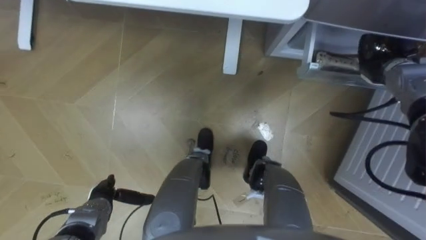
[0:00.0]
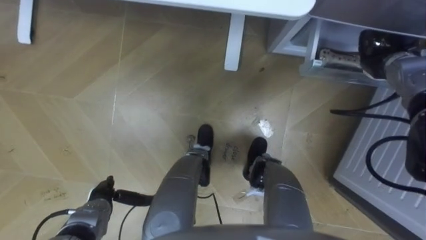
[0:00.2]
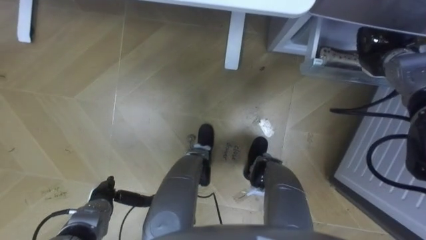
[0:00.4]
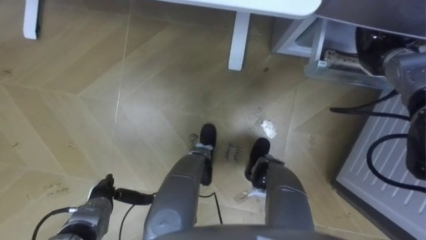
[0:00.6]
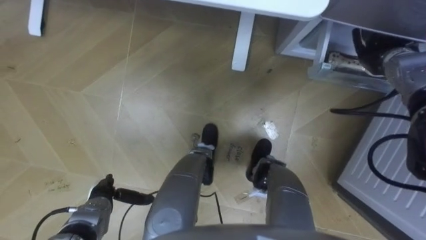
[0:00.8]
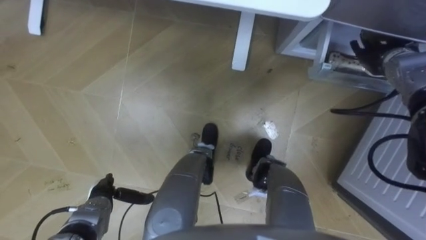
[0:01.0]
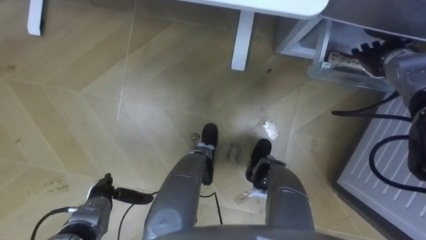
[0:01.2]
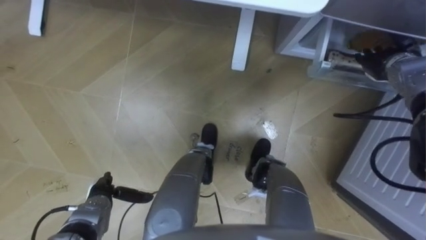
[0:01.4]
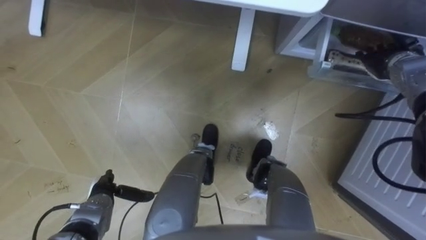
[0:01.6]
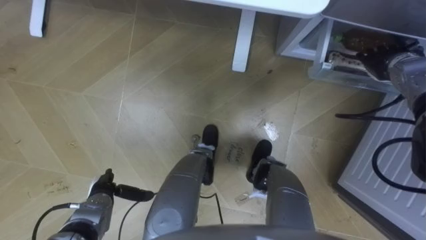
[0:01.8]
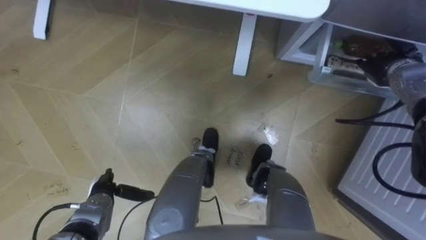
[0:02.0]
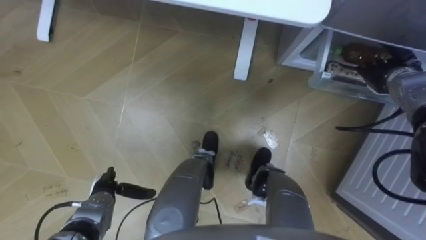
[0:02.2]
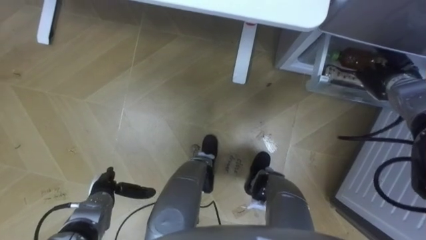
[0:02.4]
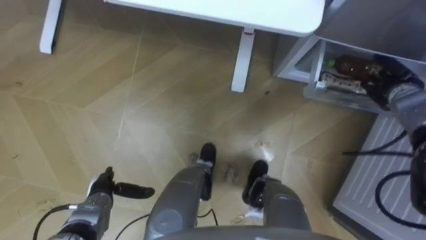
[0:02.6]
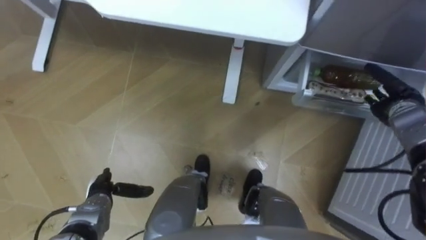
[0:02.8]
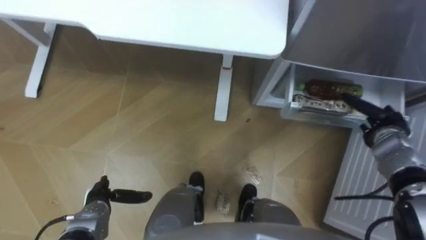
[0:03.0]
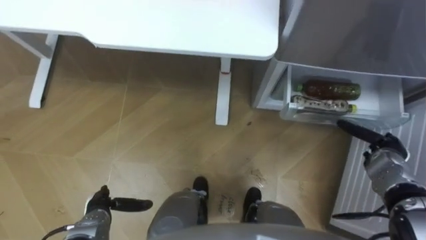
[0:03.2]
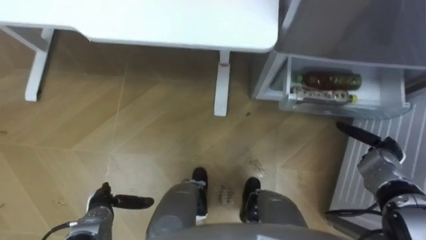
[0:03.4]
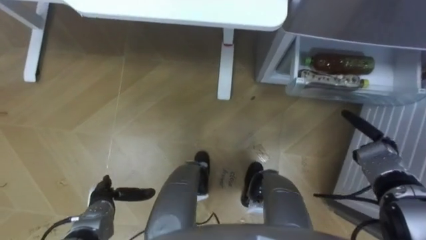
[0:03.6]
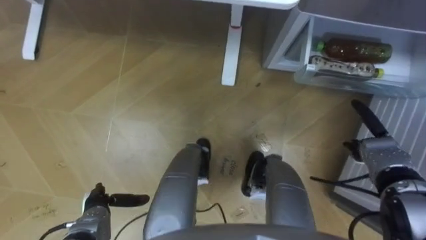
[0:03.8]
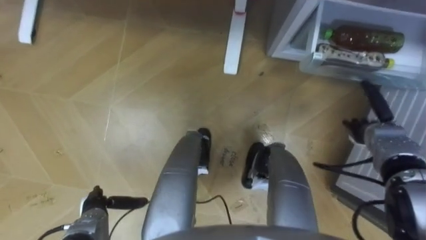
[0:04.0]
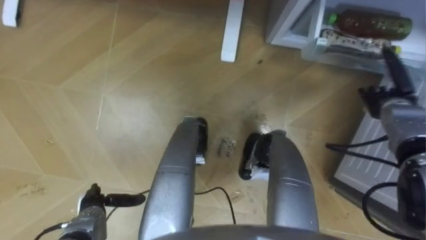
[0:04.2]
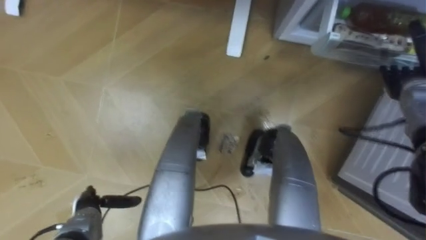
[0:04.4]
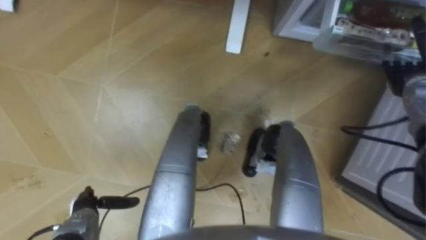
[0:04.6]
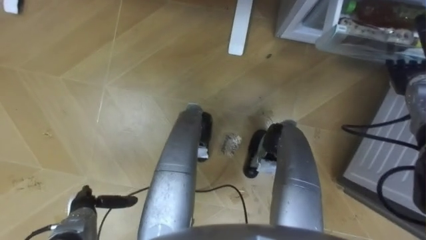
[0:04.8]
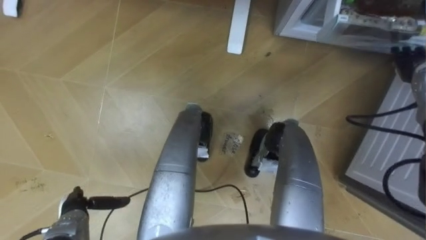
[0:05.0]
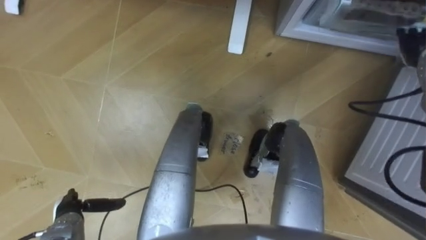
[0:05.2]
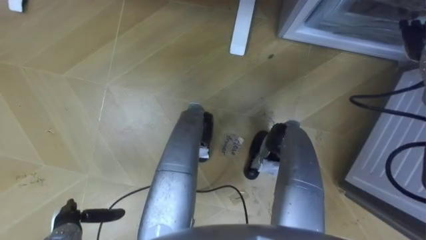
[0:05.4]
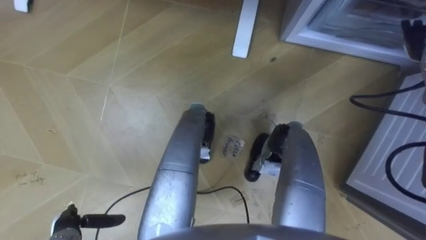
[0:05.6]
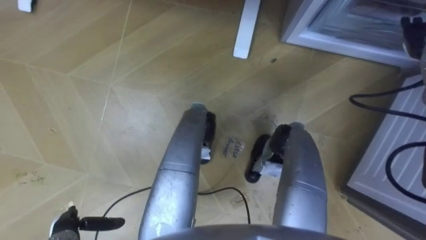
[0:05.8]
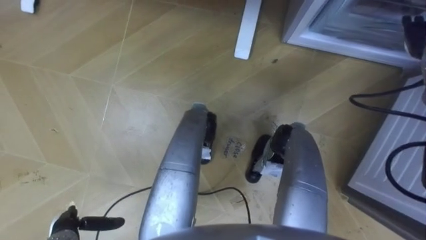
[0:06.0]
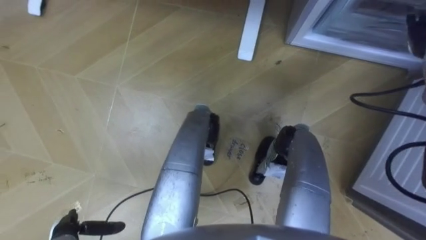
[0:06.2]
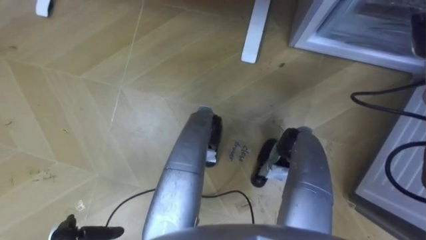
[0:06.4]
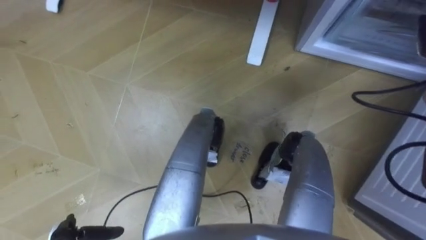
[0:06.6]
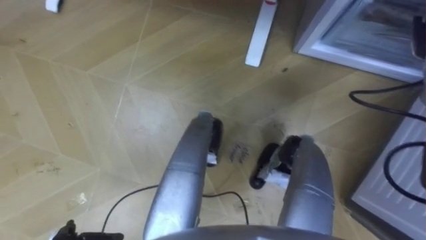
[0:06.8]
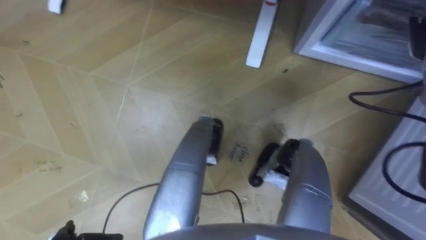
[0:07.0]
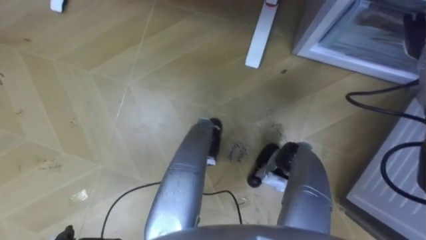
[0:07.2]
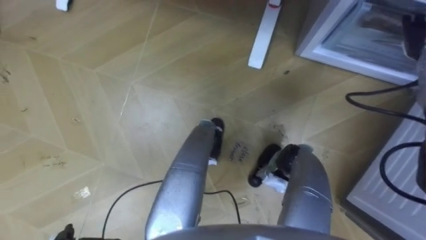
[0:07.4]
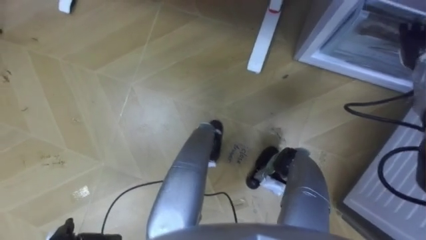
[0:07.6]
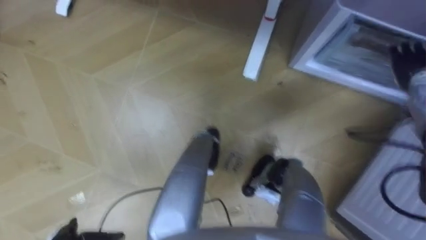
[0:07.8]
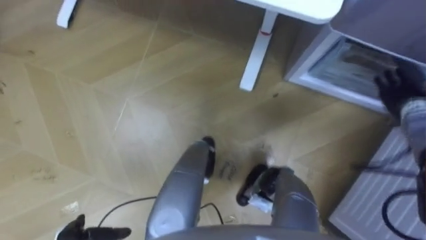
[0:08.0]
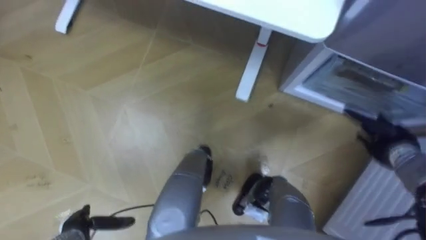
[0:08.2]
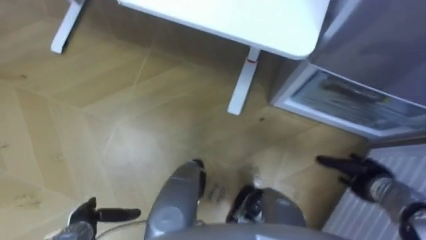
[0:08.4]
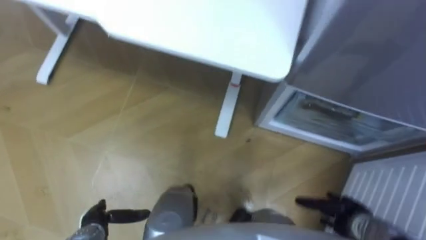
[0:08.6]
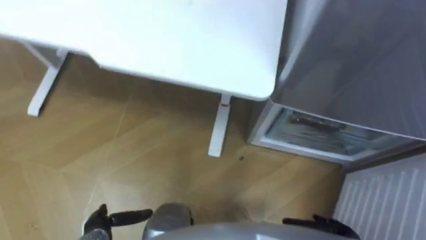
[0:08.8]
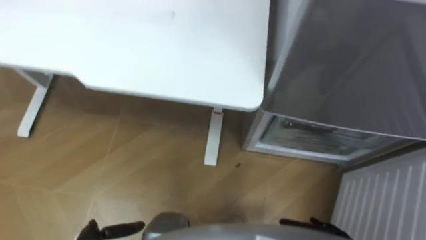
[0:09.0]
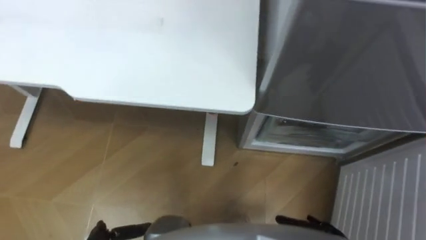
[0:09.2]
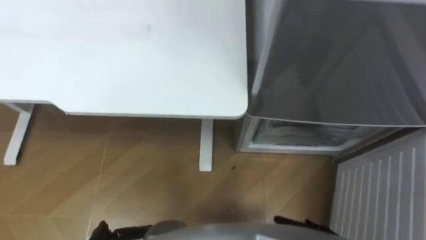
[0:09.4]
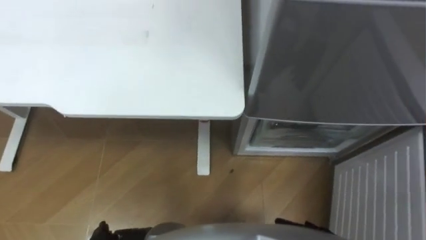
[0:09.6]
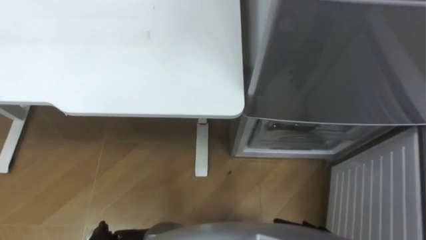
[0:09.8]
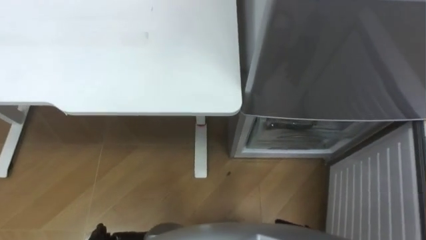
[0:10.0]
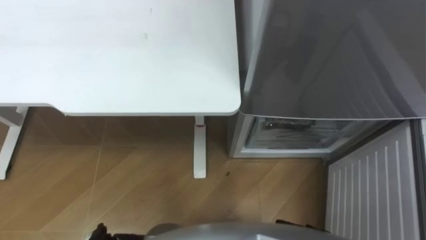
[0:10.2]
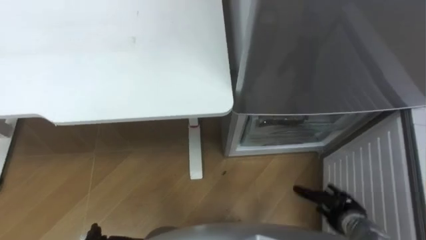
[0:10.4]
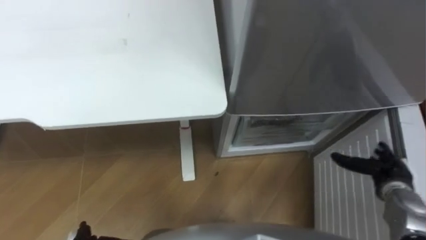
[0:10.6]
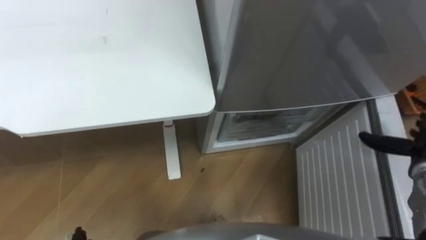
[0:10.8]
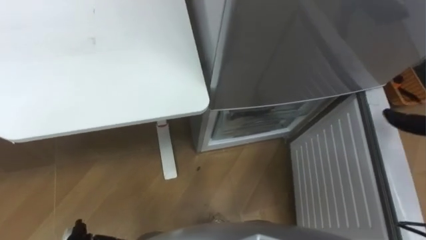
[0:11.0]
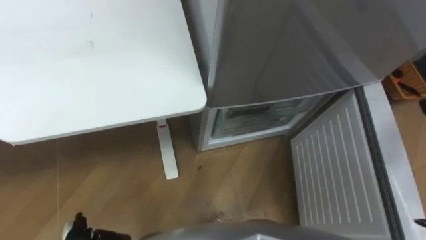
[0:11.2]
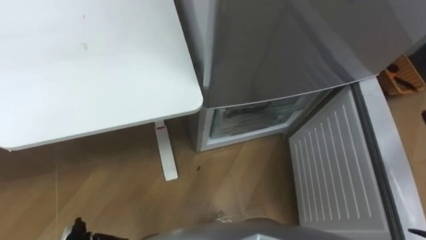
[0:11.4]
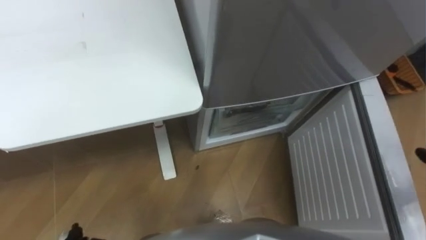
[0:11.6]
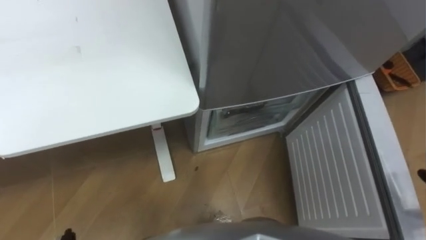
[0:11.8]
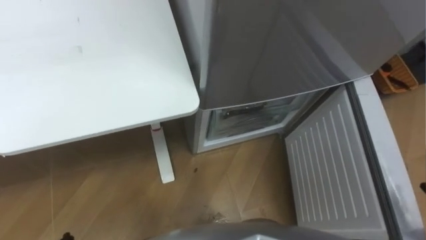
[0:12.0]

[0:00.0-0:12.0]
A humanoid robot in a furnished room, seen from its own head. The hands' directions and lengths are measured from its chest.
Task of the whole recording: Place the drink on the table on the bottom shelf of the refrigerator, then close the drawer and the refrigerator door.
0:00.0 to 0:01.6: The right hand opens its fingers.
0:01.6 to 0:03.0: The right hand heads backward and downward, covering some 15 cm.
0:03.0 to 0:04.4: The right hand heads upward and forward, covering about 10 cm.
0:04.4 to 0:06.0: The left hand moves some 5 cm. The right hand heads upward and forward, covering roughly 10 cm.
